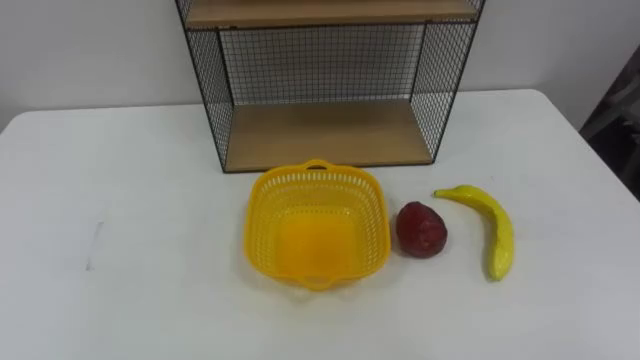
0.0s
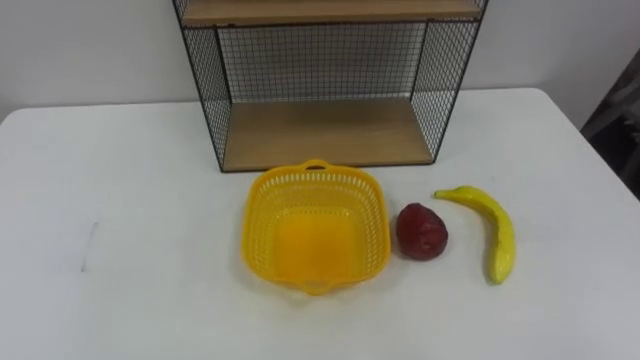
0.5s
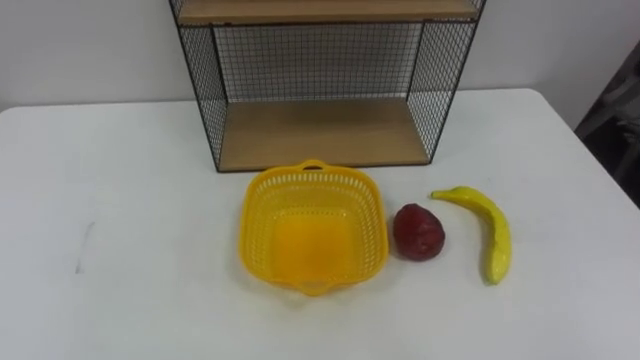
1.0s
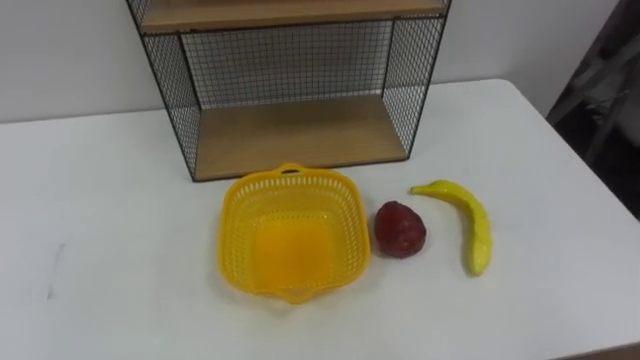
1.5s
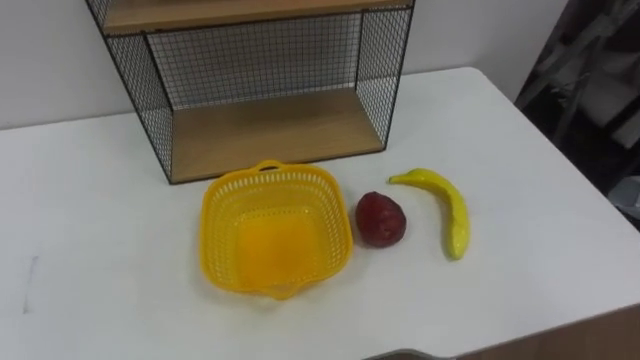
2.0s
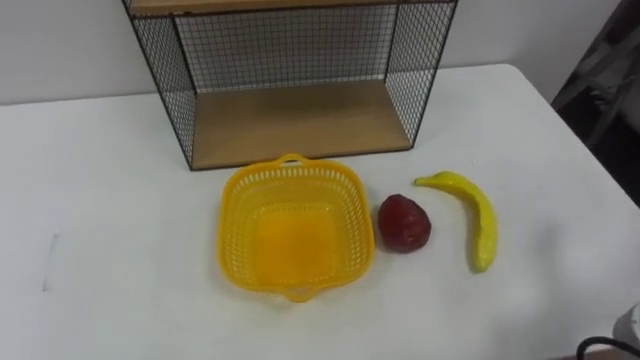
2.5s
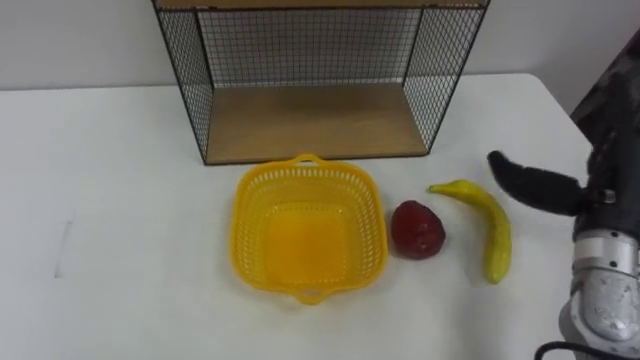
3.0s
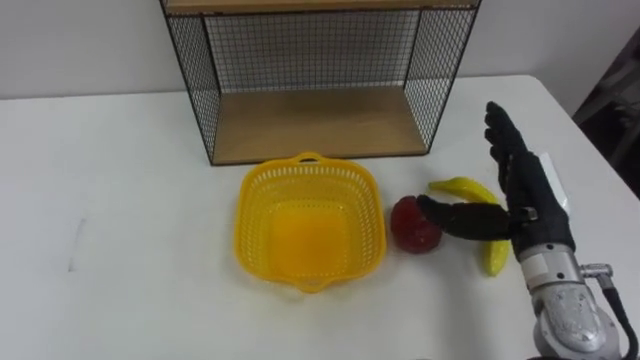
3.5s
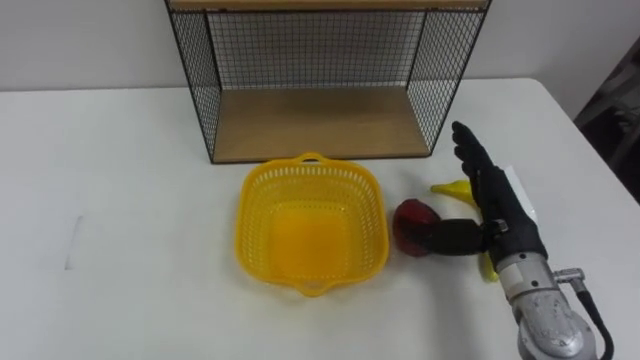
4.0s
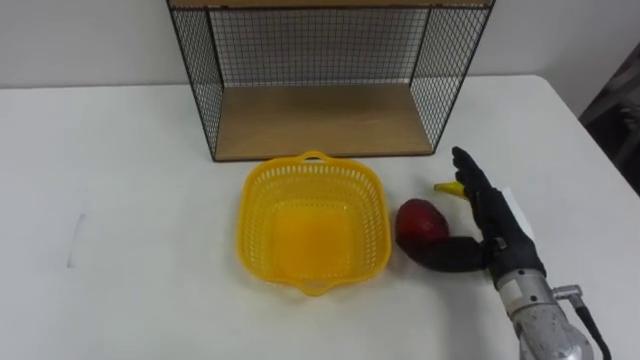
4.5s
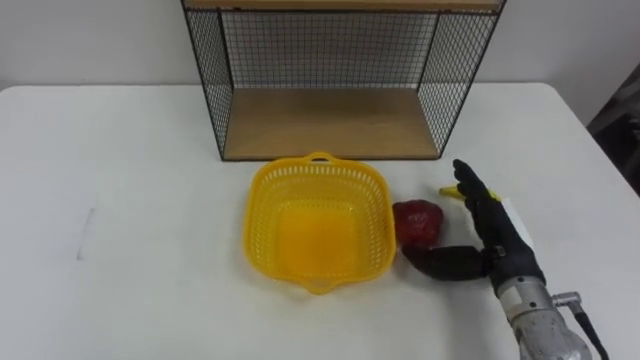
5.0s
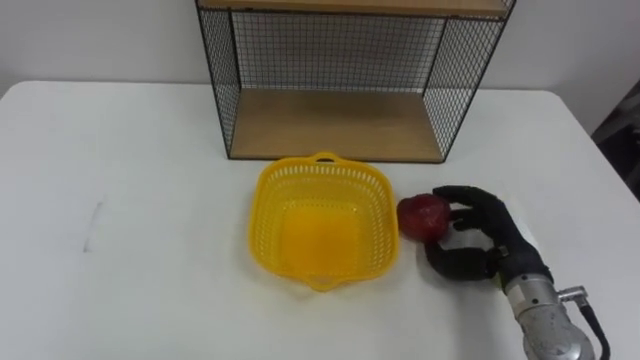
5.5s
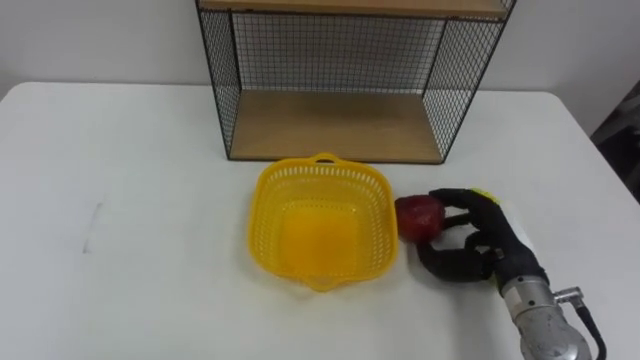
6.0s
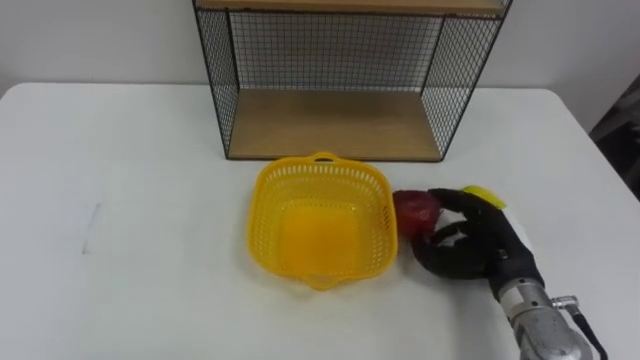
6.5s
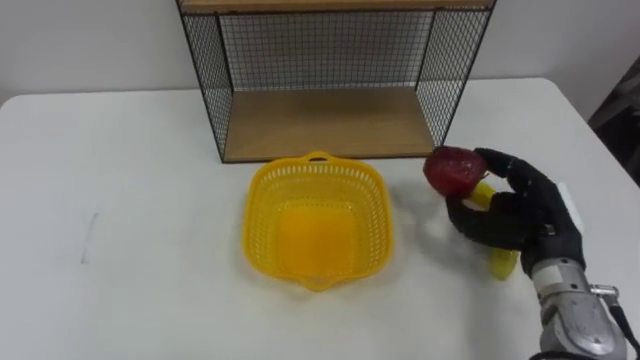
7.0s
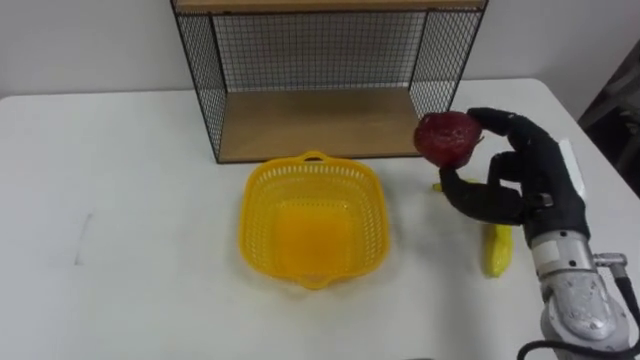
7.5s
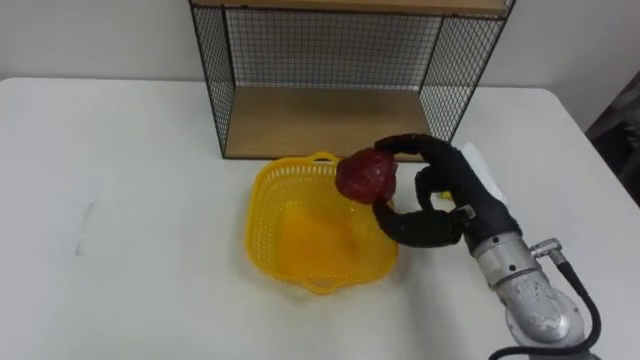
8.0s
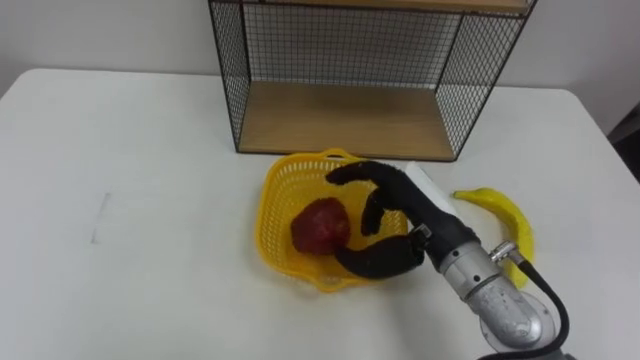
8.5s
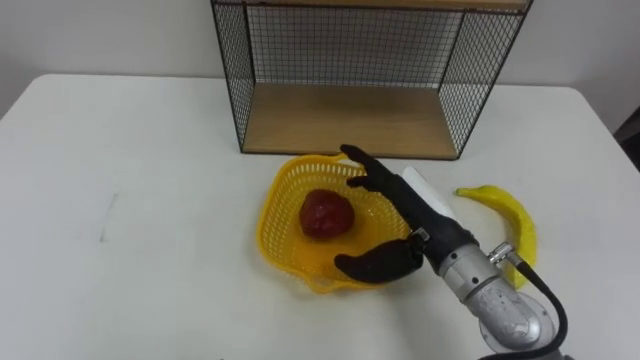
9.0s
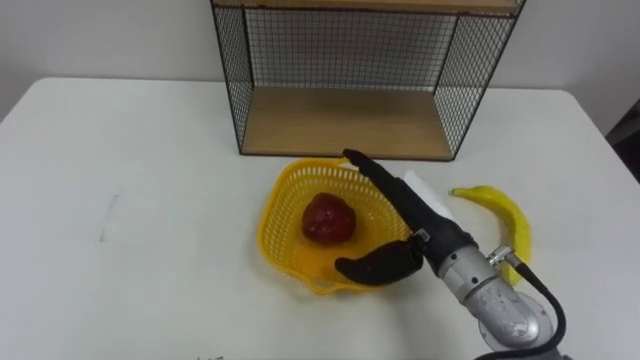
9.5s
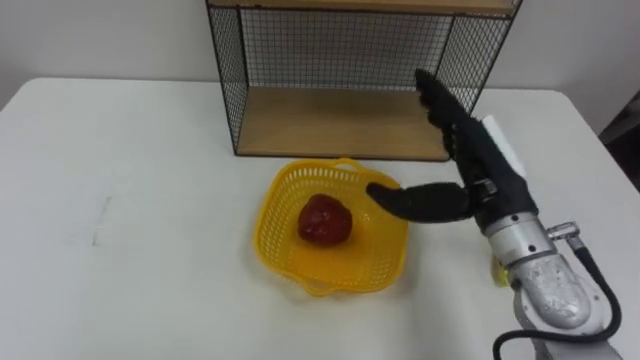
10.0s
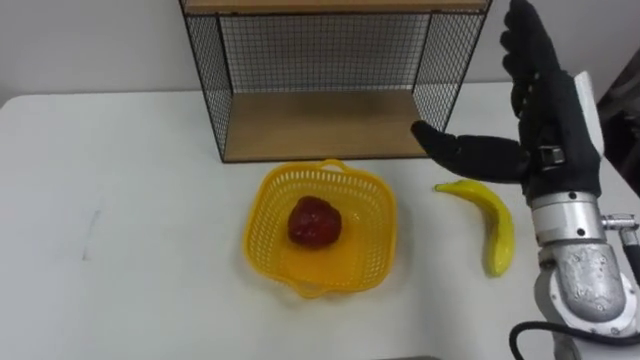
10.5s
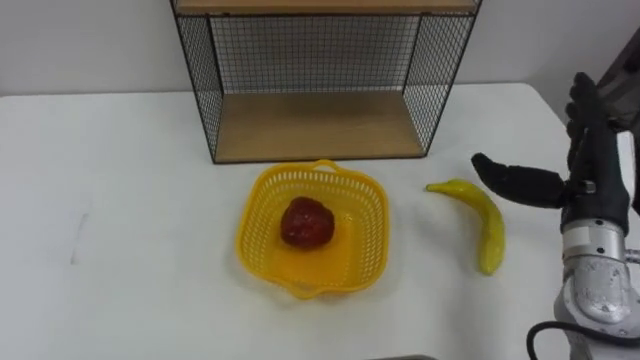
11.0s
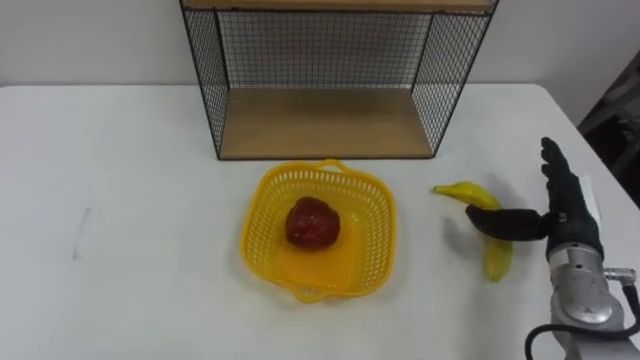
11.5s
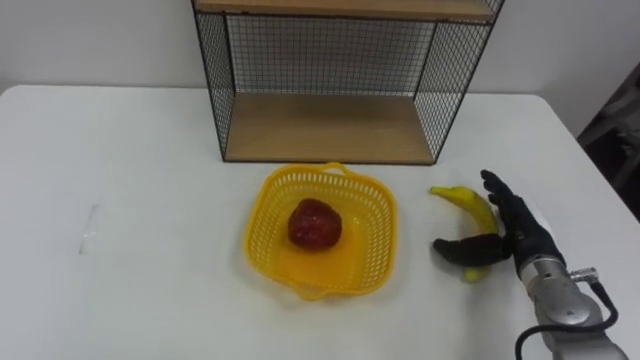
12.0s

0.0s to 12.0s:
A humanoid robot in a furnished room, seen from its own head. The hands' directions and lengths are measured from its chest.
Task of the whole recording: Put the fruit on the table into the basket, then place the basket on the shelf.
4.0s to 6.0s: The right hand heads downward, covering about 5 cm, and closes up.
6.0s to 8.0s: The right hand heads upward and to the left, covering about 10 cm.
8.0s to 10.0s: The right hand opens up.
10.0s to 12.0s: The right hand travels downward and to the right by roughly 15 cm.

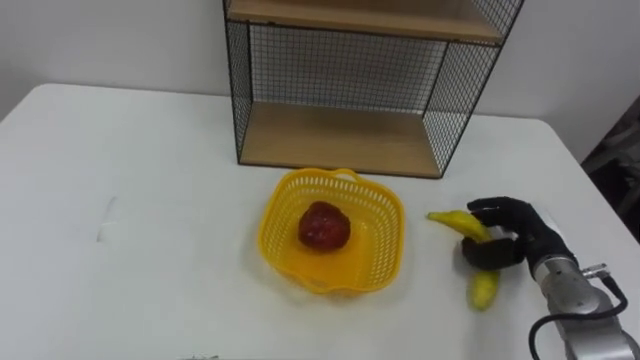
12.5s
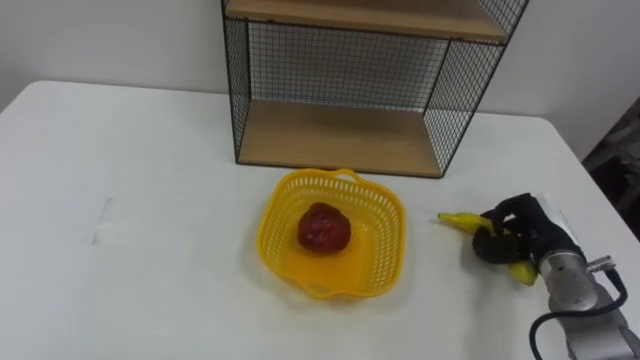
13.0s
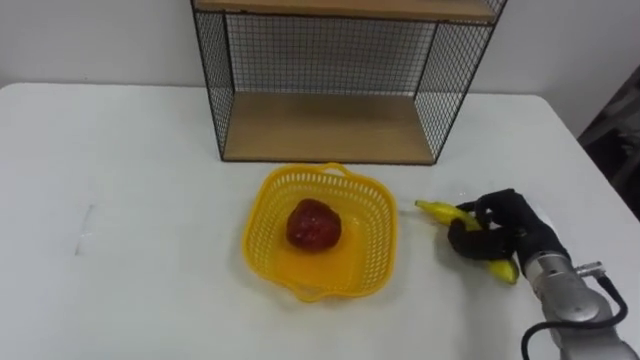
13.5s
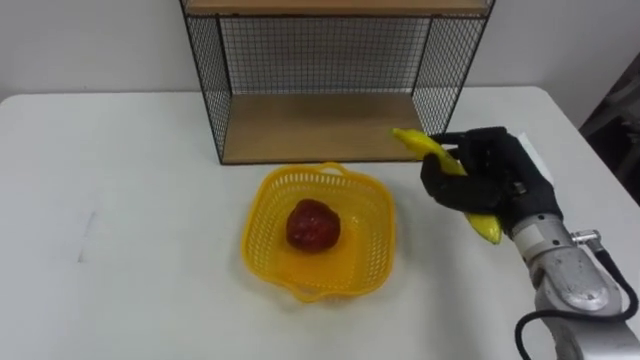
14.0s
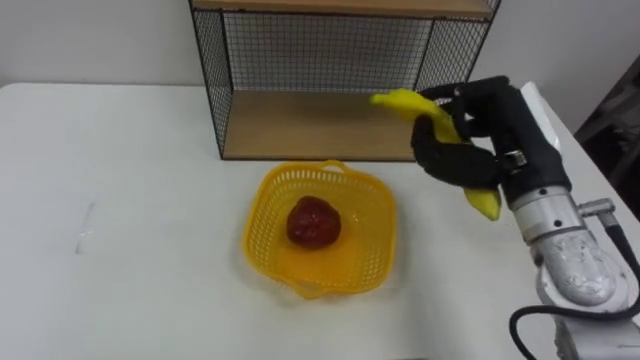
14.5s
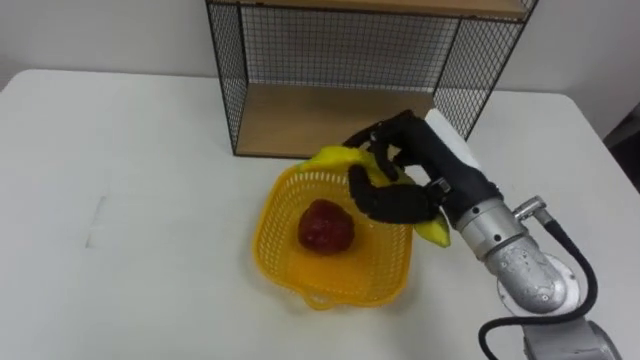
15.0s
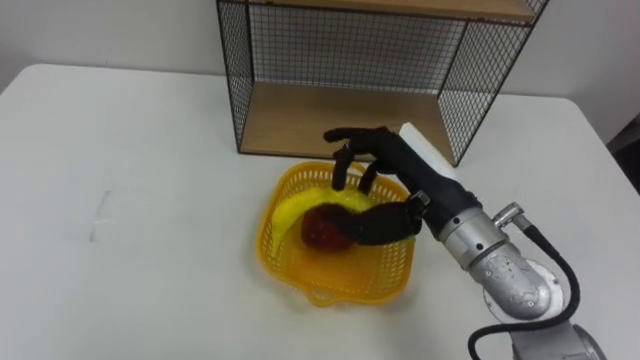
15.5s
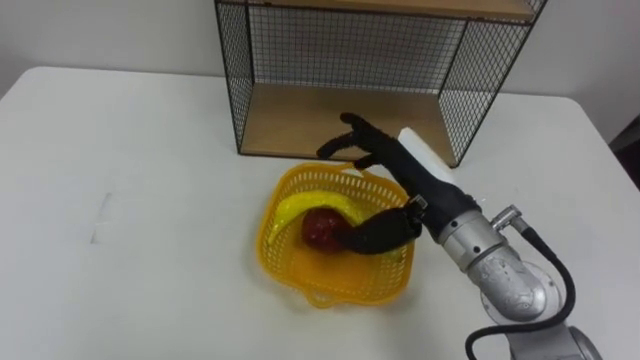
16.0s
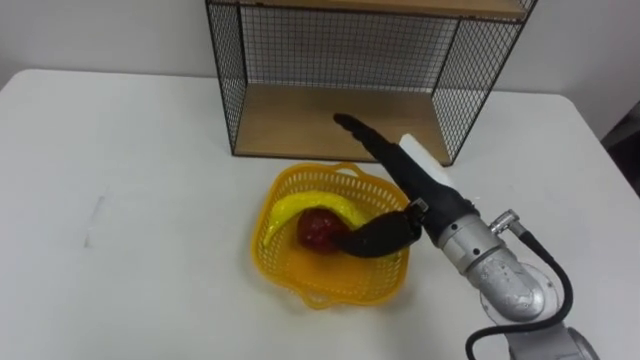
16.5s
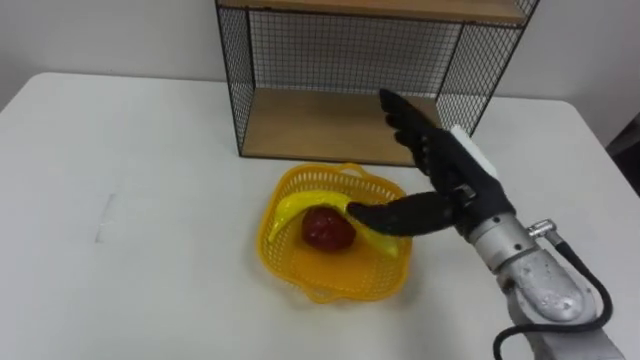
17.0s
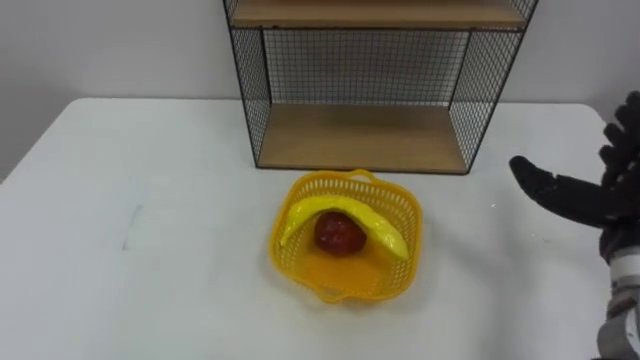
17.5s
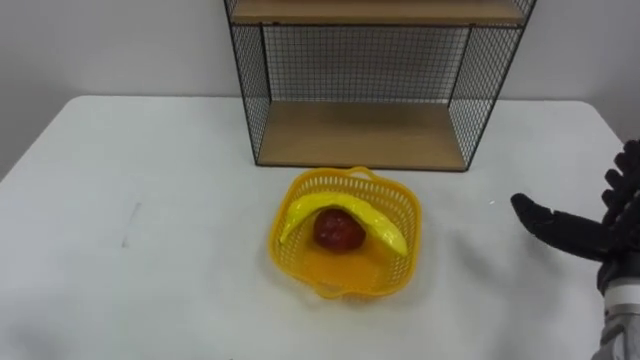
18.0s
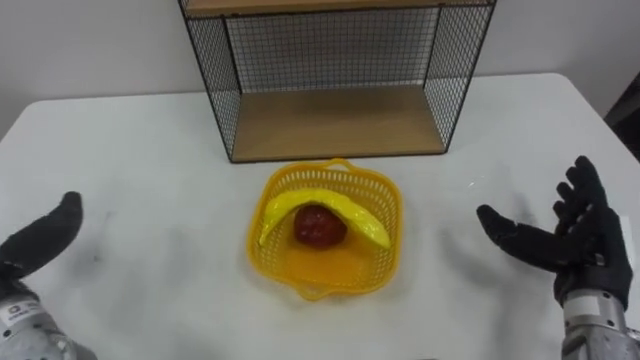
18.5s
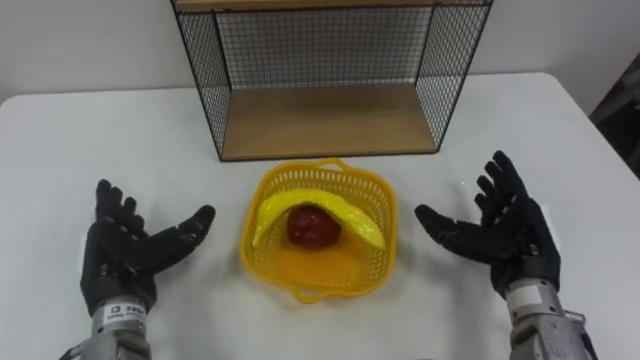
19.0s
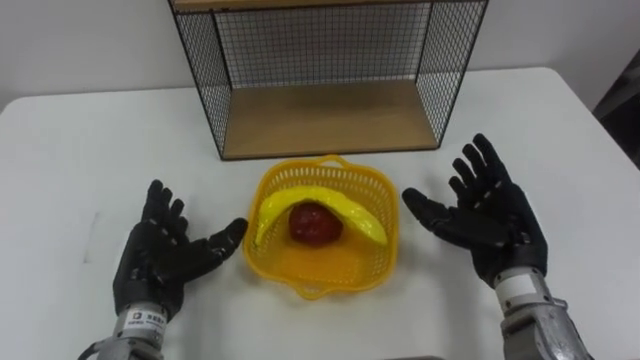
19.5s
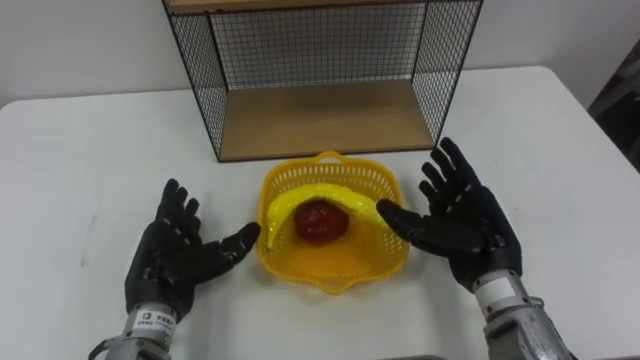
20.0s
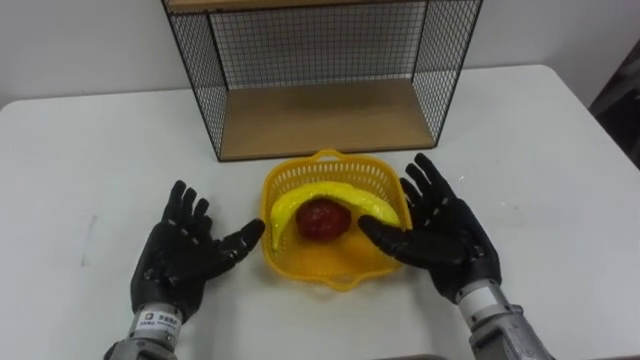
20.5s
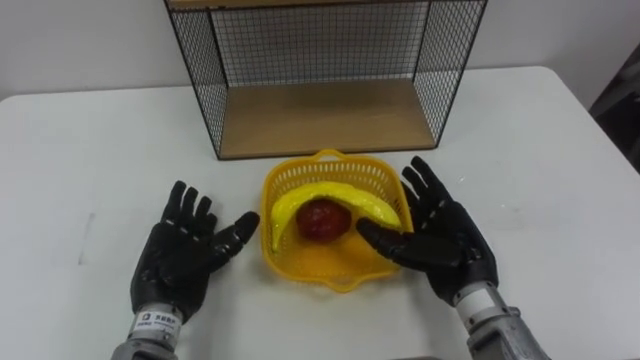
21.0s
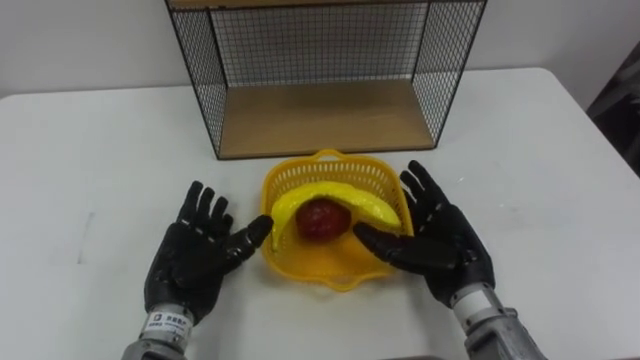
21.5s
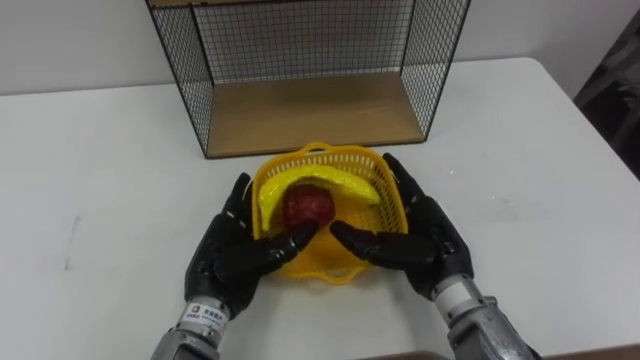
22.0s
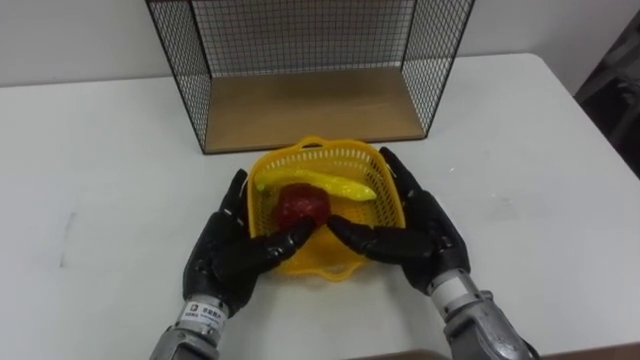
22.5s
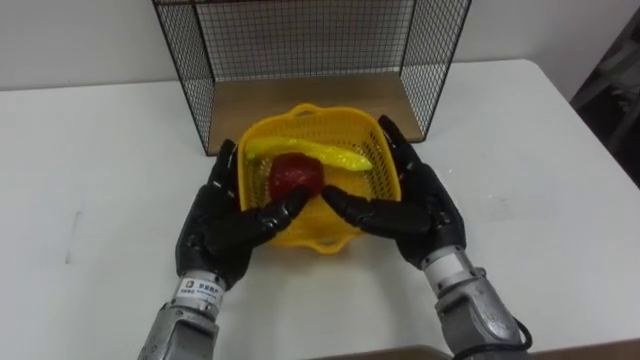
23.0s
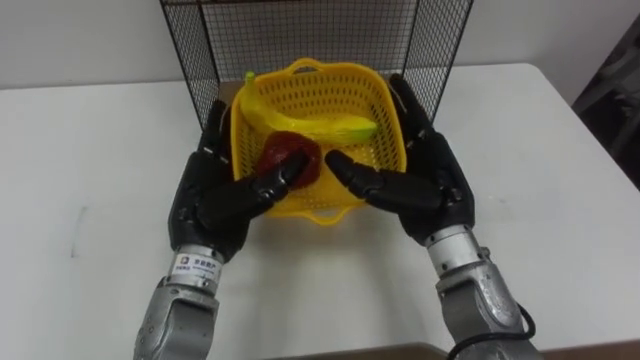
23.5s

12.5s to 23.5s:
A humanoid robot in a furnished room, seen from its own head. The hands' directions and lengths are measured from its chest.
Task of the whole recording: Put the fruit on the table into the basket, then place the basket on the shelf.
12.5s to 14.5s: The right hand shifts some 20 cm upward and to the left, and closes.
14.5s to 16.0s: The right hand is displaced to the left by some 10 cm, and opens up.
20.0s to 21.5s: The hands make only small movements.
21.5s to 23.5s: The hands both shift upward by some 10 cm.
